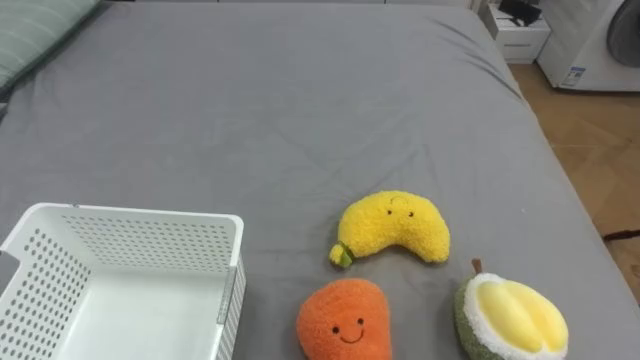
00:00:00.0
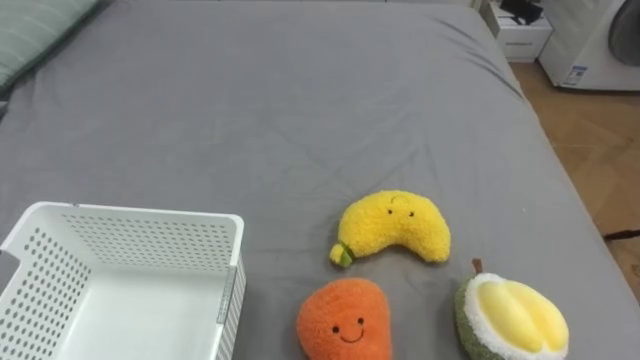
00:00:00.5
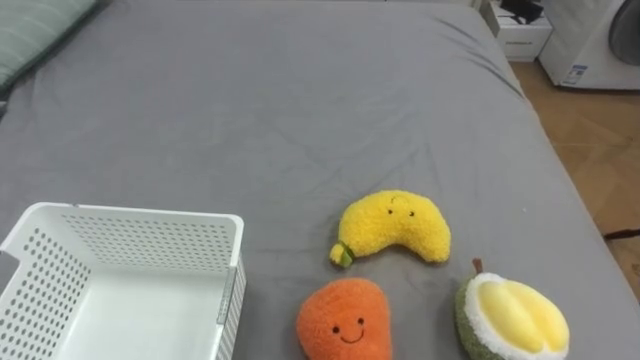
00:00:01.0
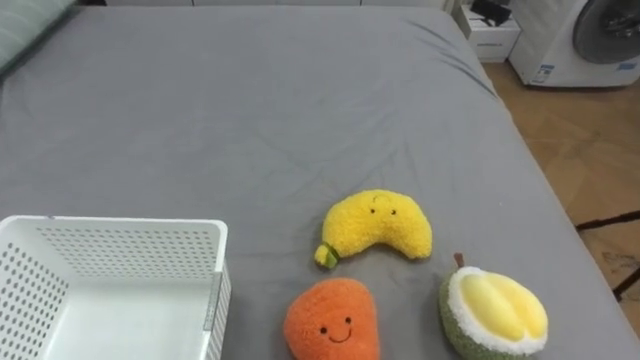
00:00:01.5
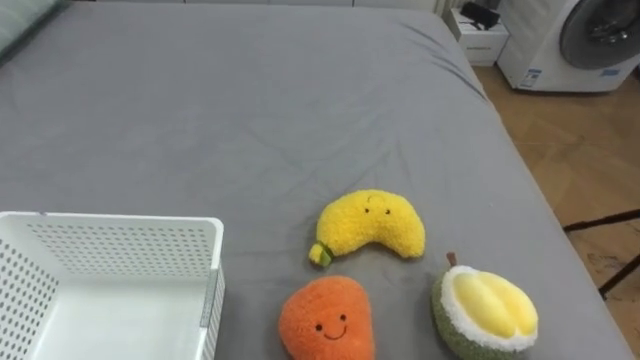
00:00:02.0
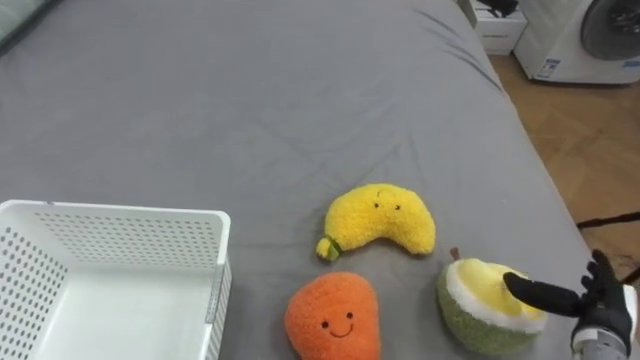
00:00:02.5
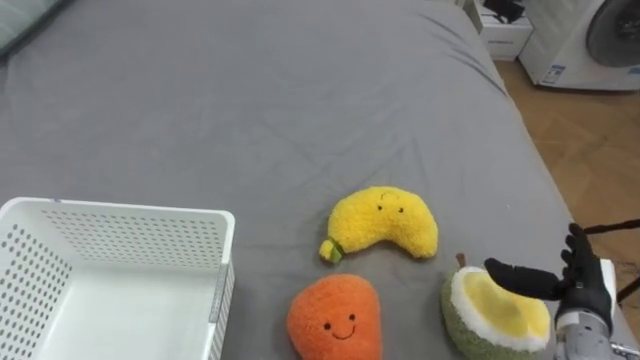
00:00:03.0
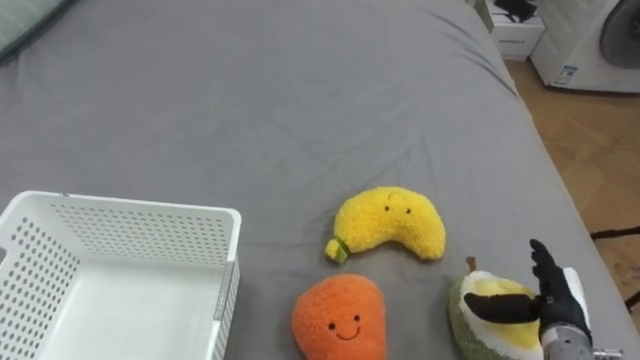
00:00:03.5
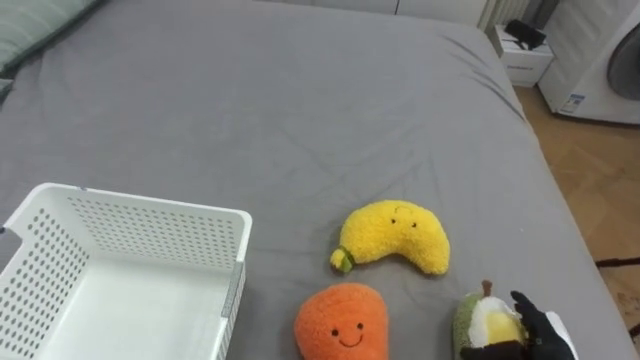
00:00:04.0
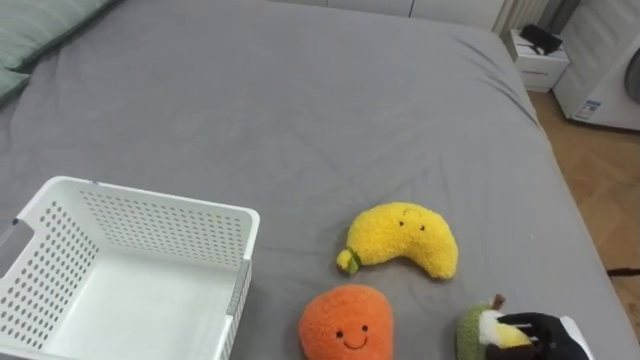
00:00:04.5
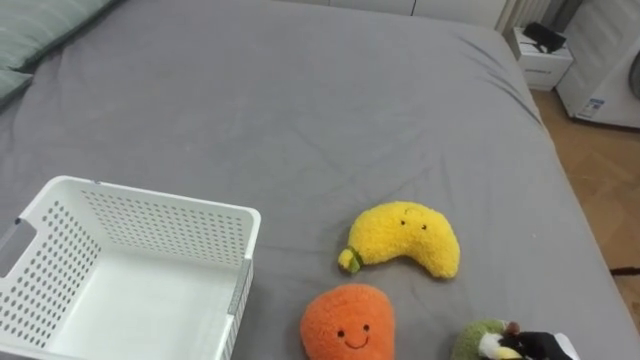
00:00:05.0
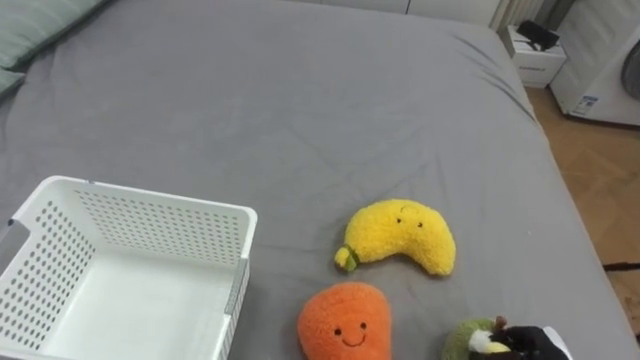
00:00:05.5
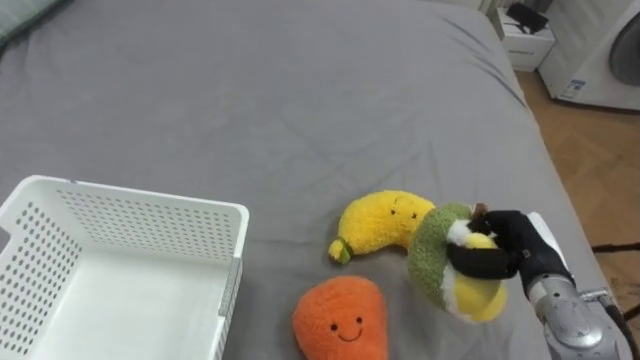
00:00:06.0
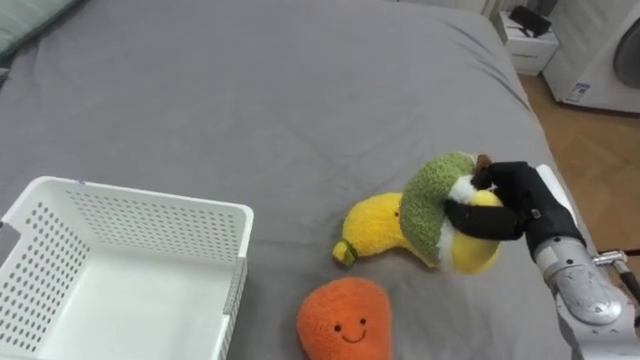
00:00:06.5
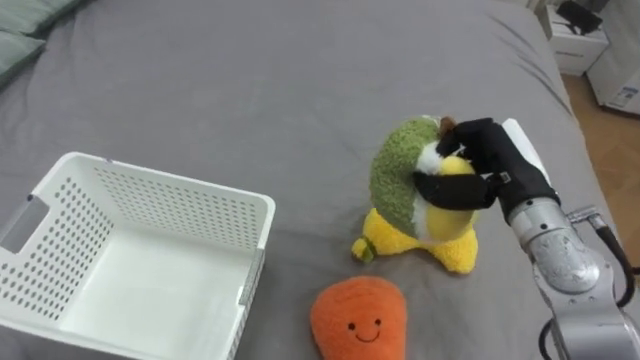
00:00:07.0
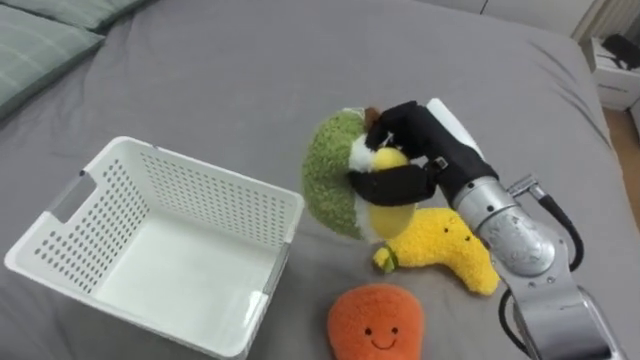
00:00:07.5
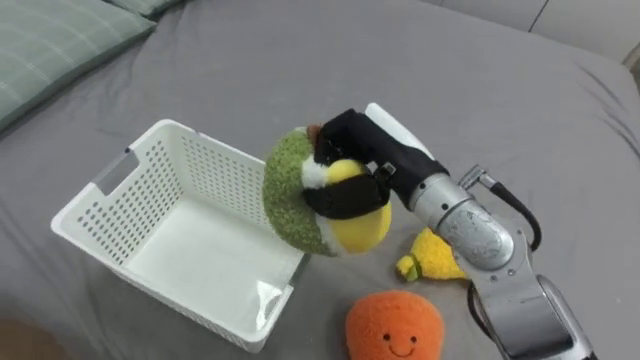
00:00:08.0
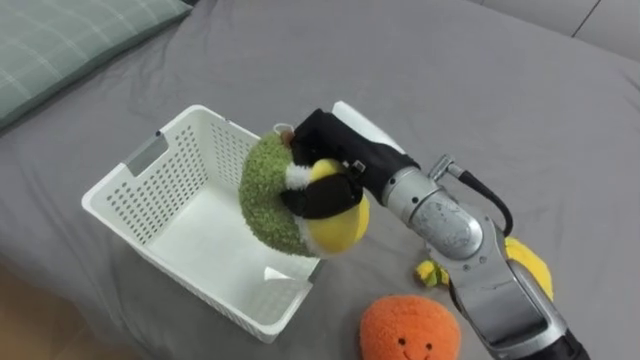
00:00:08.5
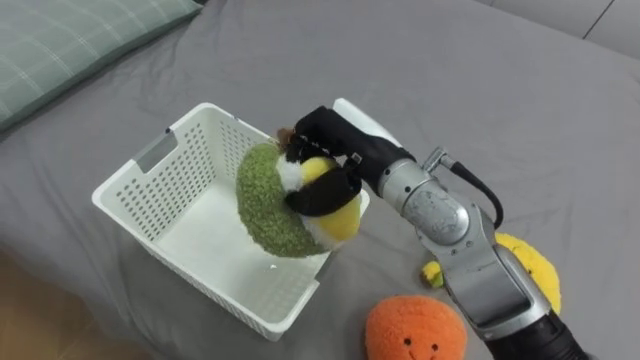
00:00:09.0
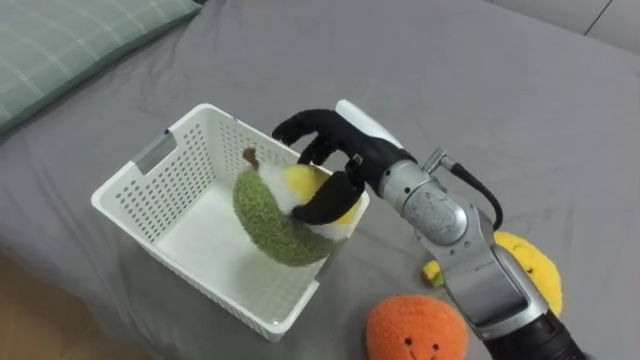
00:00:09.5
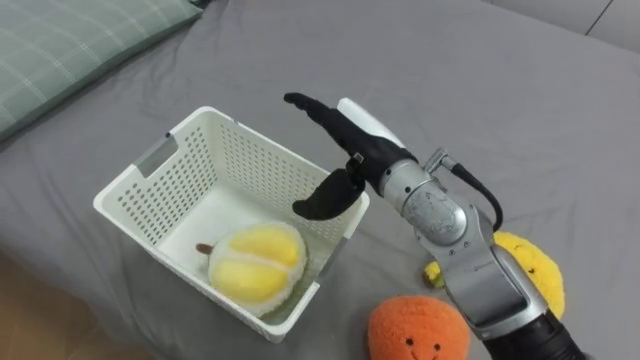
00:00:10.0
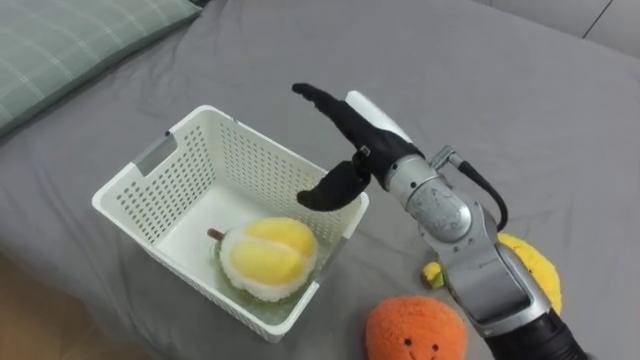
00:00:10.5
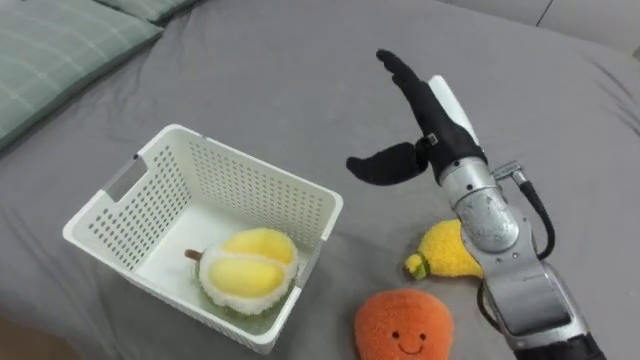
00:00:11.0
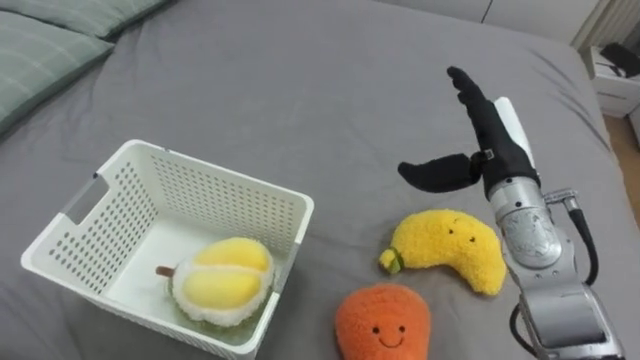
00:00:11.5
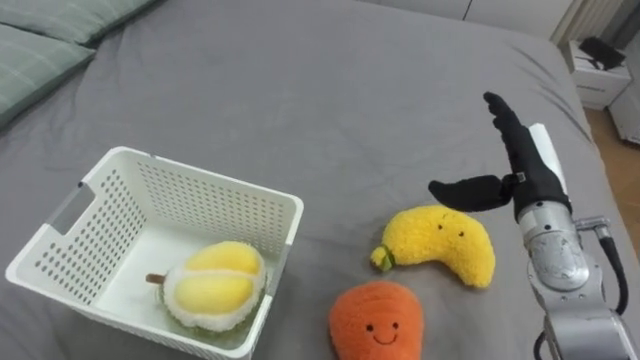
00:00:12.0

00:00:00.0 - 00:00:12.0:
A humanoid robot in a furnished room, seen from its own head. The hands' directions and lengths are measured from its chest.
Task of the whole recording: Put the toys on the bed into the basket on the left.
00:00:06.0 - 00:00:08.0: The right hand shifts roughly 25 cm to the left and upward.
00:00:08.0 - 00:00:10.0: The right hand opens its fingers.
00:00:10.0 - 00:00:12.0: The right hand is displaced to the right by approximately 20 cm.

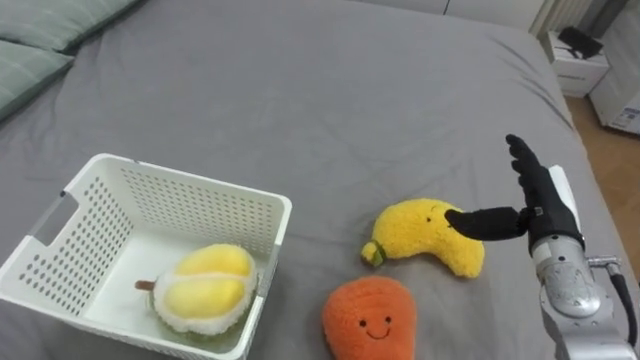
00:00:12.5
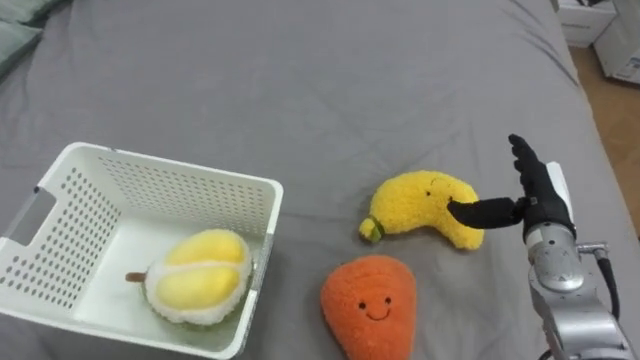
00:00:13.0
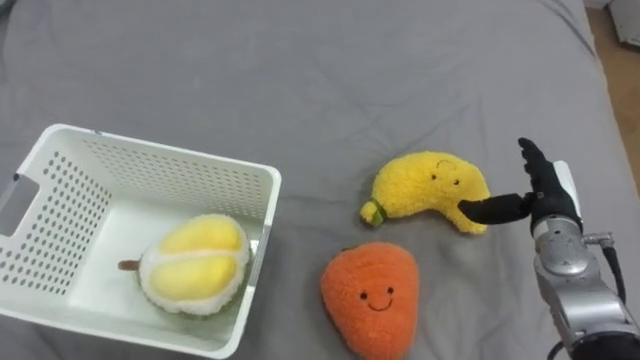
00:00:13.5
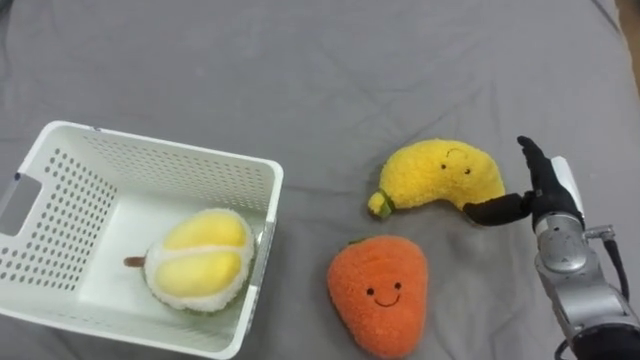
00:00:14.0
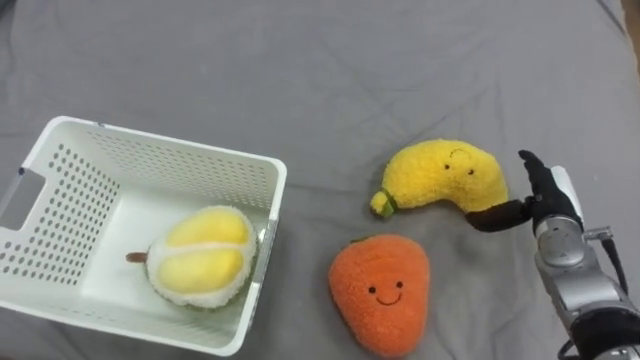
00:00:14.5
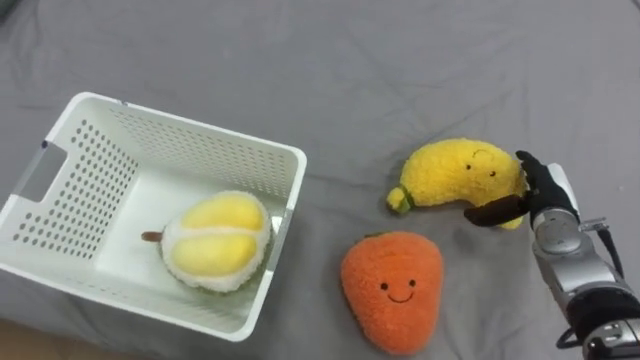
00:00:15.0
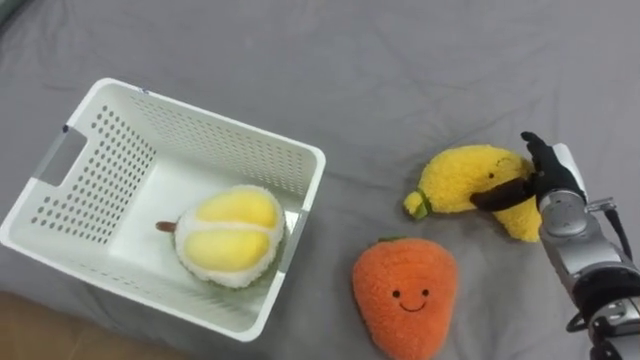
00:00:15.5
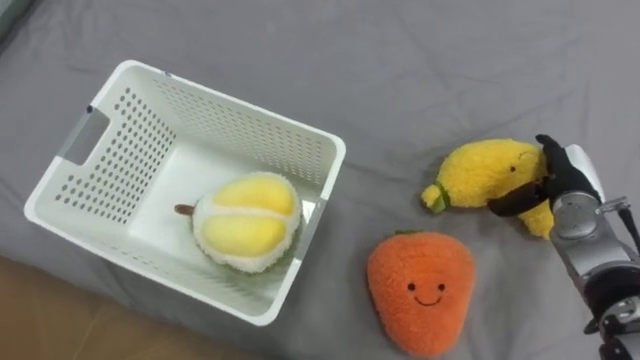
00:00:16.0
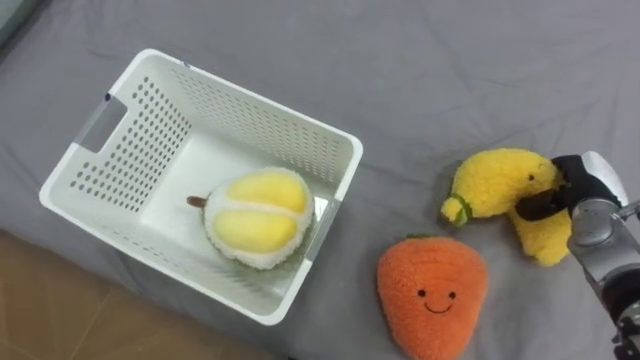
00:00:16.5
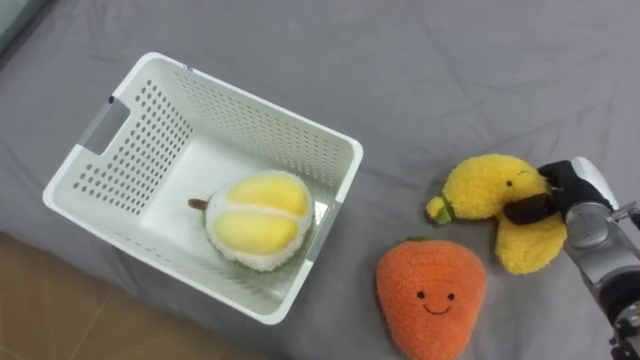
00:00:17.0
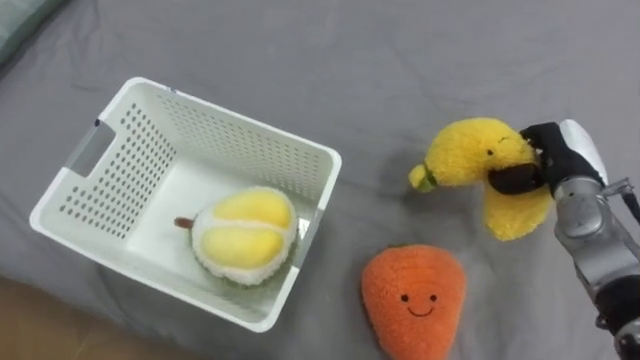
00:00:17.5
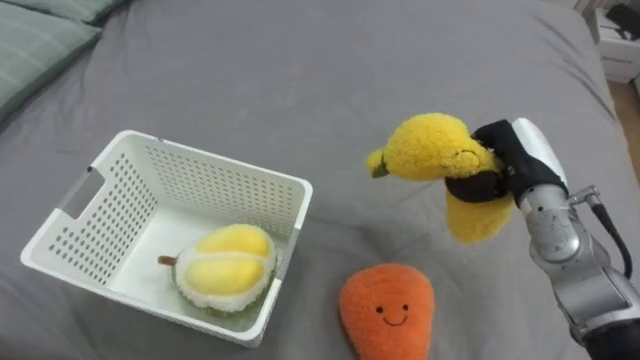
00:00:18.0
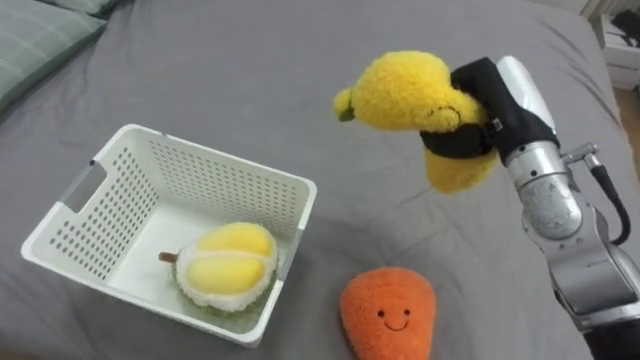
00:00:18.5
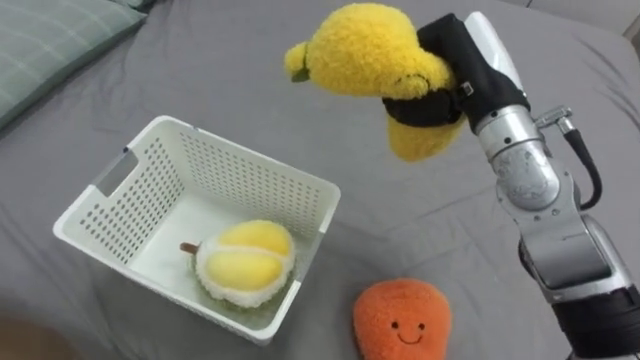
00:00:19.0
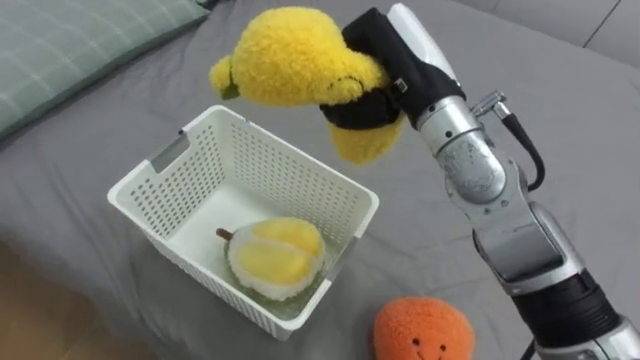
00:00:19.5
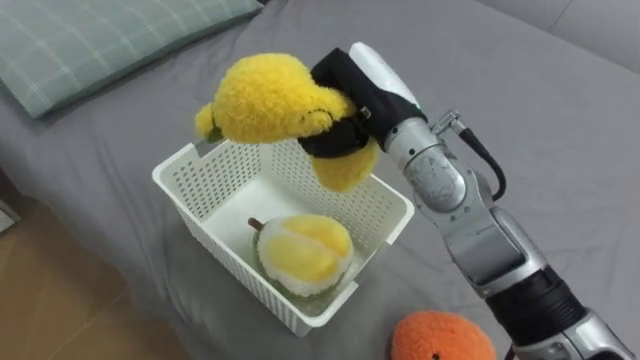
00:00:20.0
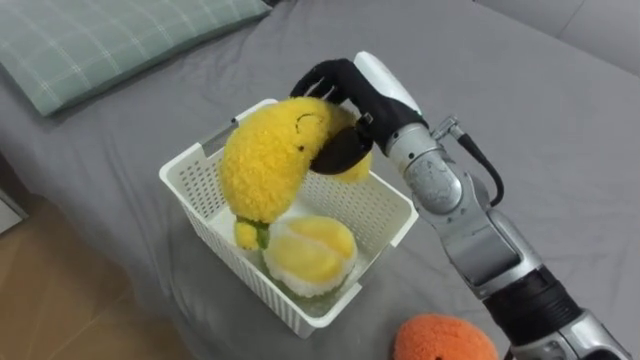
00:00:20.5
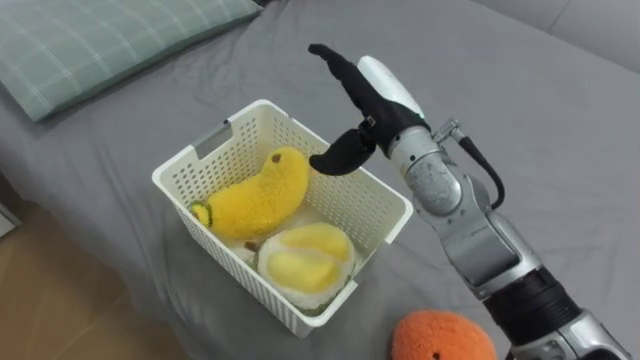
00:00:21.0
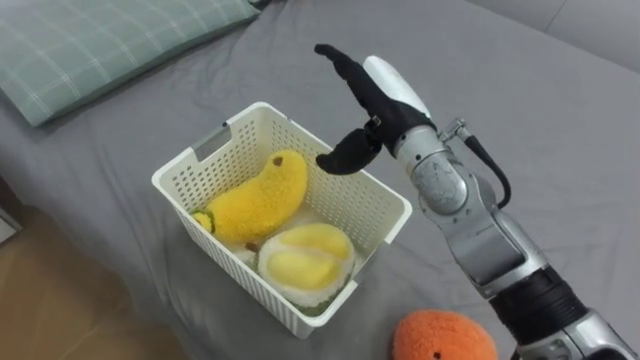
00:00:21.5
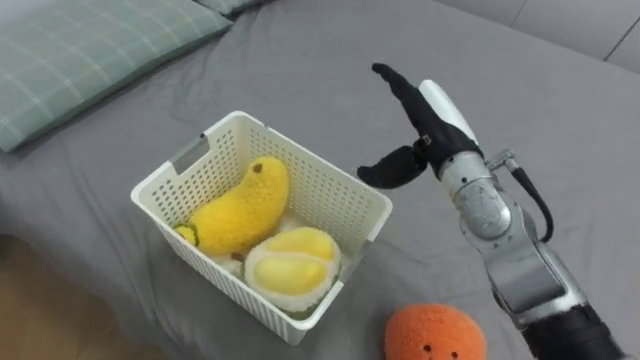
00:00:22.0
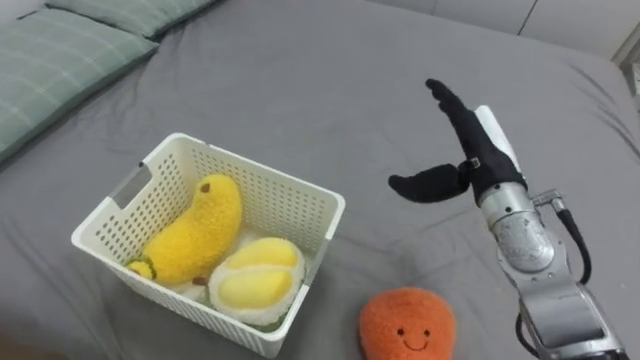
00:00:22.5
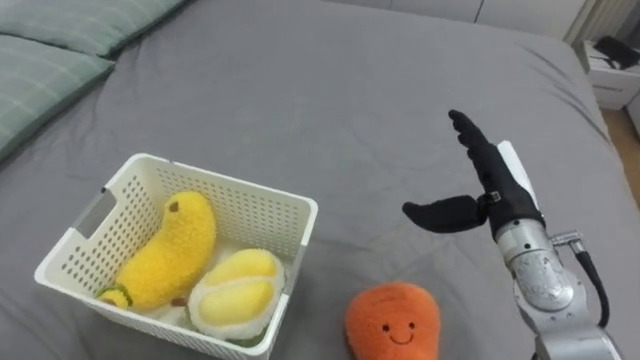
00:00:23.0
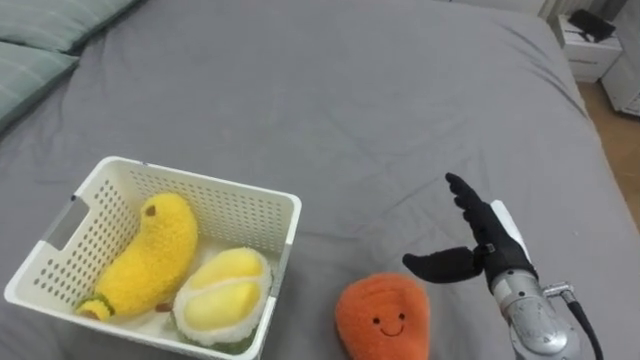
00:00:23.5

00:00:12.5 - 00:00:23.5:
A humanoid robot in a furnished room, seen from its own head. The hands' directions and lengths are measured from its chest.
Task of the whole recording: Put the toys on the bed into the basket on the left.
00:00:12.5 - 00:00:14.5: The right hand moves about 5 cm.
00:00:16.0 - 00:00:18.0: The right hand shifts approximately 10 cm to the left and upward, and closes its fingers.
00:00:18.0 - 00:00:20.0: The right hand shifts about 25 cm to the left and upward.
00:00:20.0 - 00:00:21.5: The right hand opens up.
00:00:21.5 - 00:00:23.5: The right hand heads to the right, downward and backward, covering approximately 25 cm.
